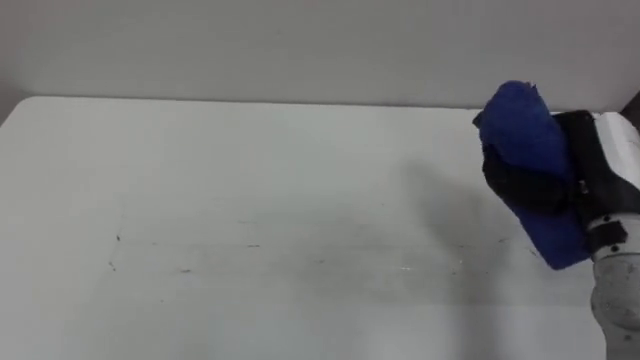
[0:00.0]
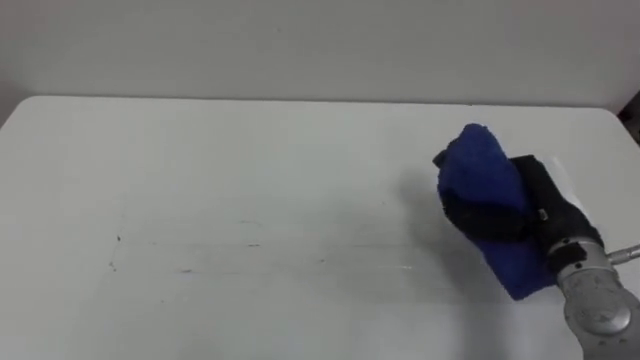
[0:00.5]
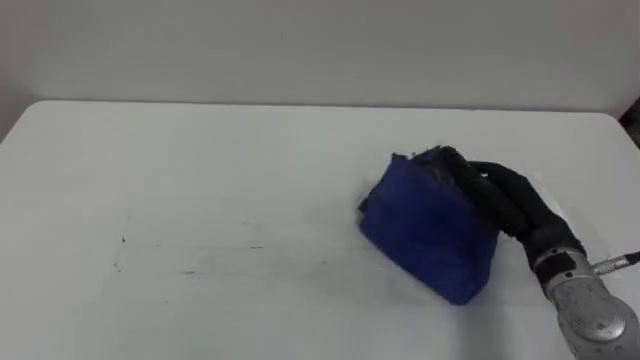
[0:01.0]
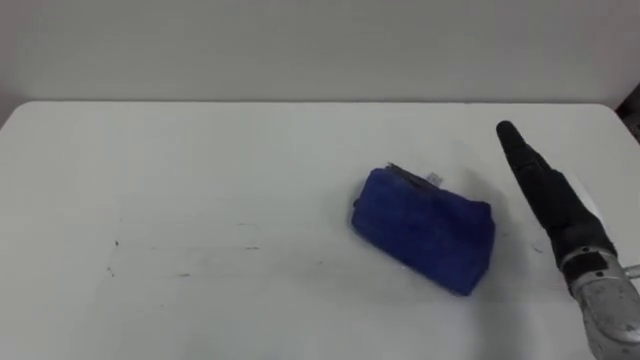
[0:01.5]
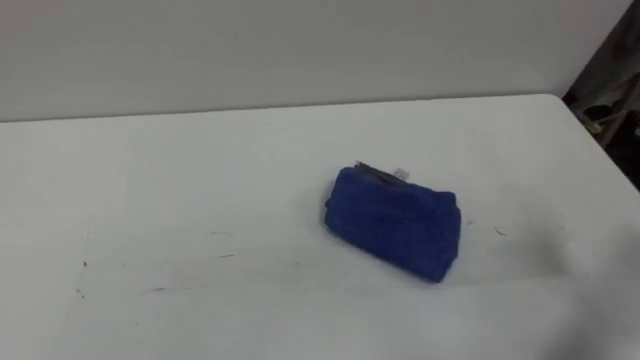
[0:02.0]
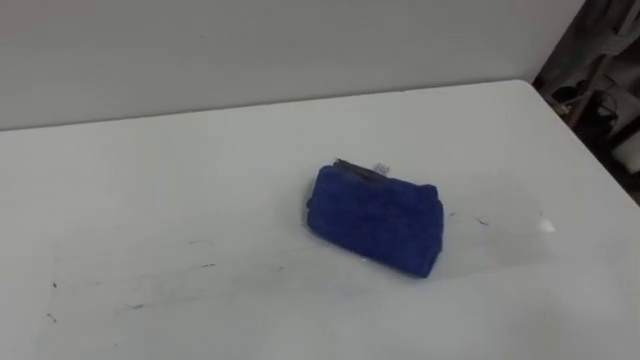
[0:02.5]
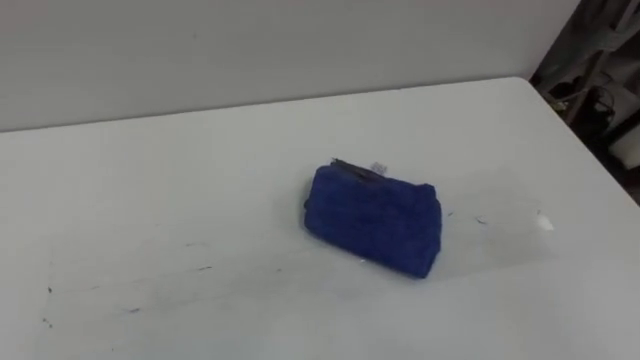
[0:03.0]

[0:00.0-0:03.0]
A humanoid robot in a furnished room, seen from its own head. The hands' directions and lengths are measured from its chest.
Task of the whole recording: Wipe the blue pen marks off the table with the rag.
0:00.0 to 0:01.5: The right hand heads downward, covering approximately 5 cm, and opens its fingers.

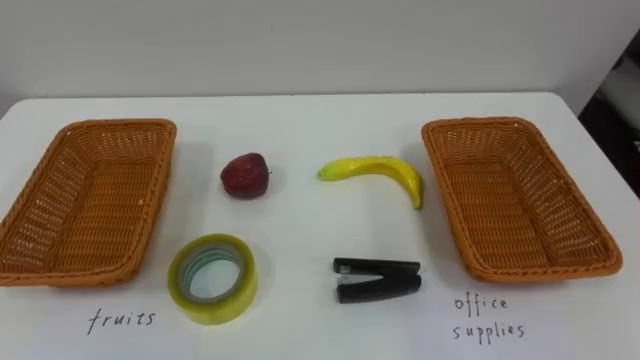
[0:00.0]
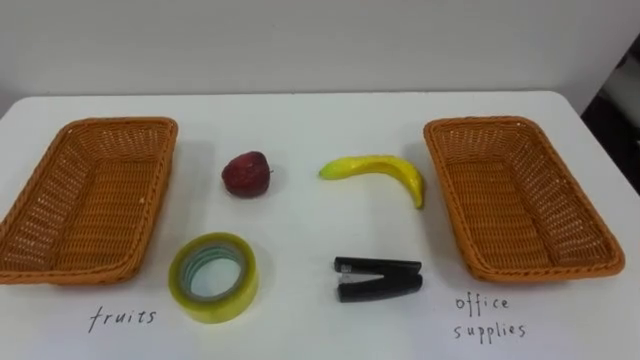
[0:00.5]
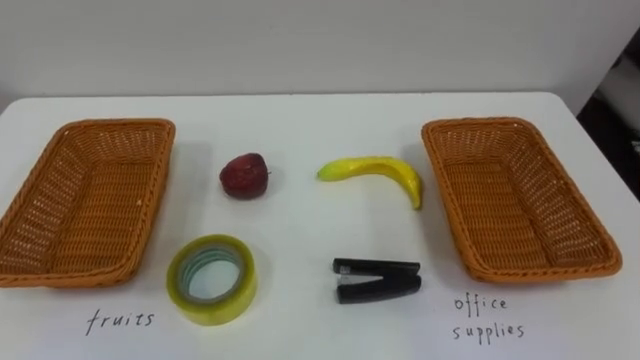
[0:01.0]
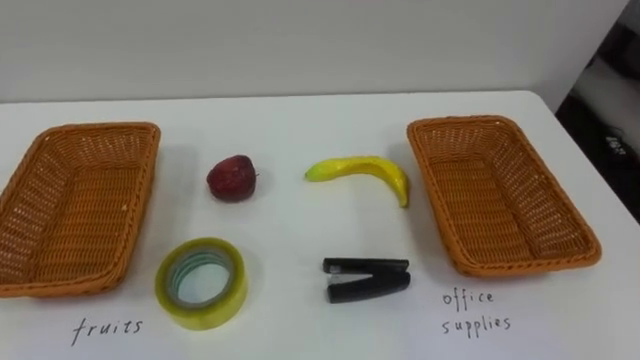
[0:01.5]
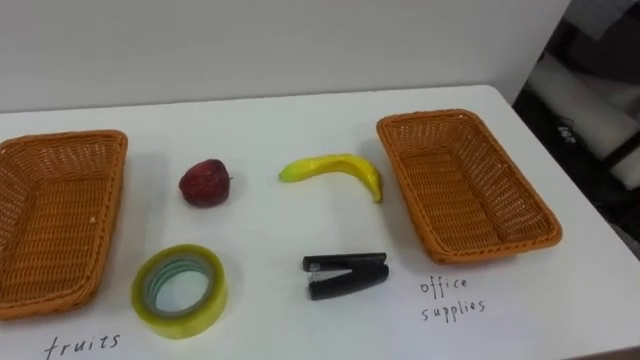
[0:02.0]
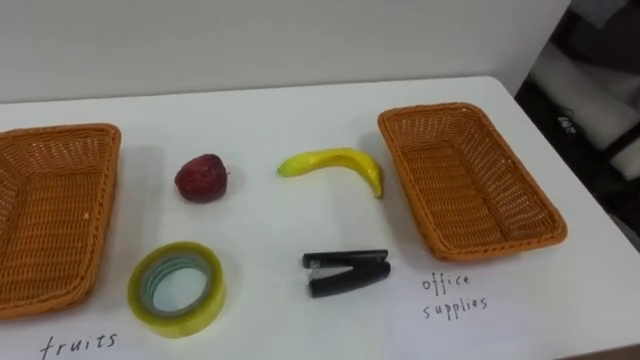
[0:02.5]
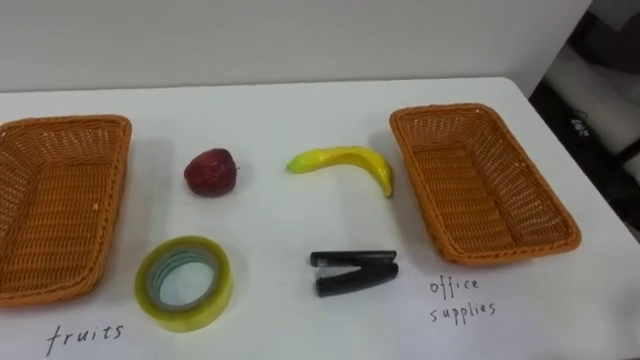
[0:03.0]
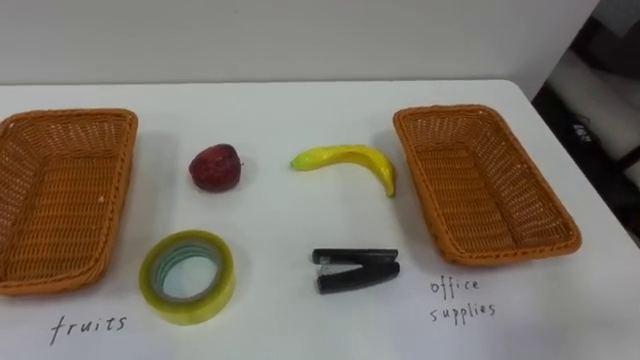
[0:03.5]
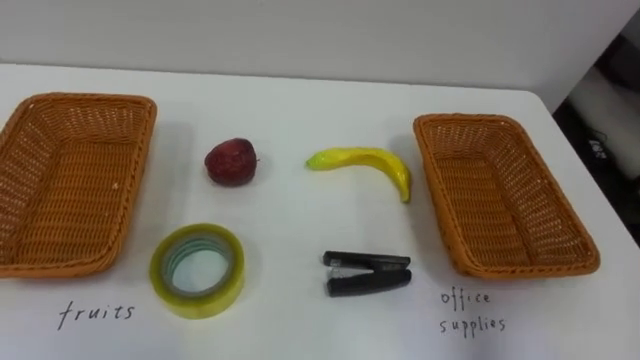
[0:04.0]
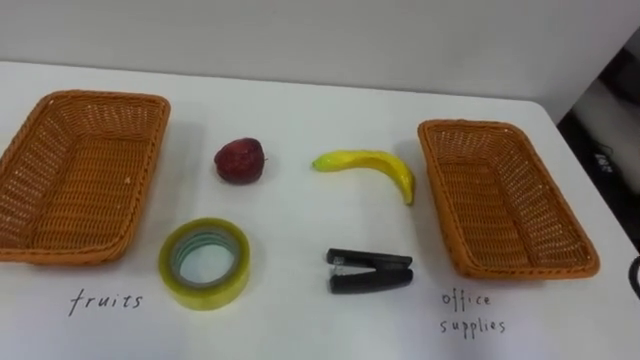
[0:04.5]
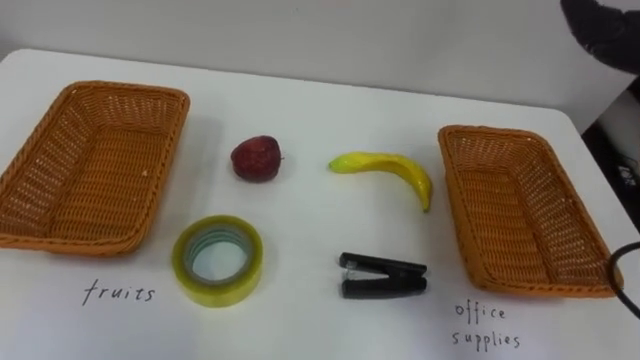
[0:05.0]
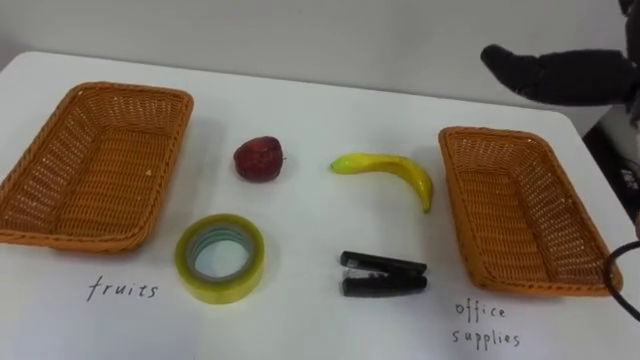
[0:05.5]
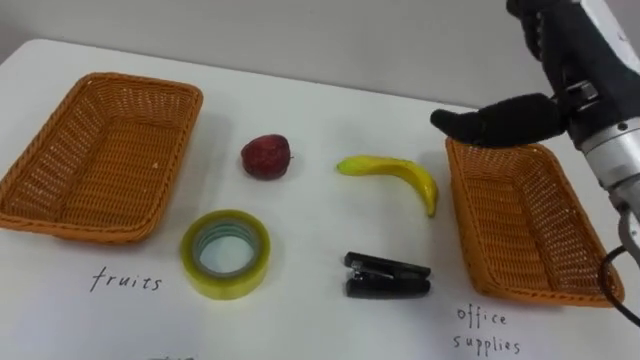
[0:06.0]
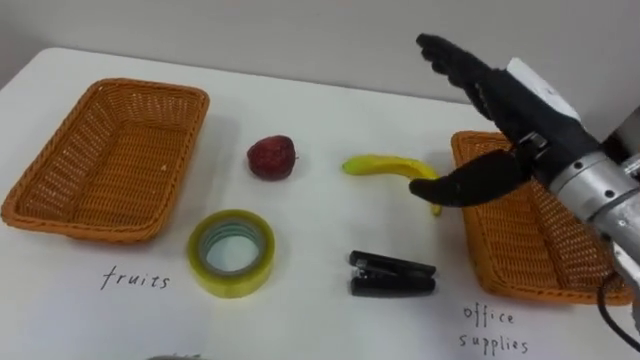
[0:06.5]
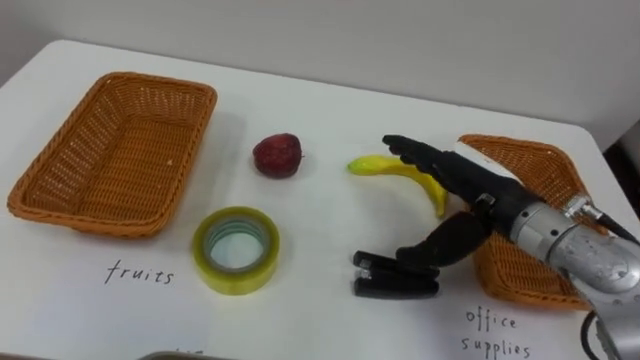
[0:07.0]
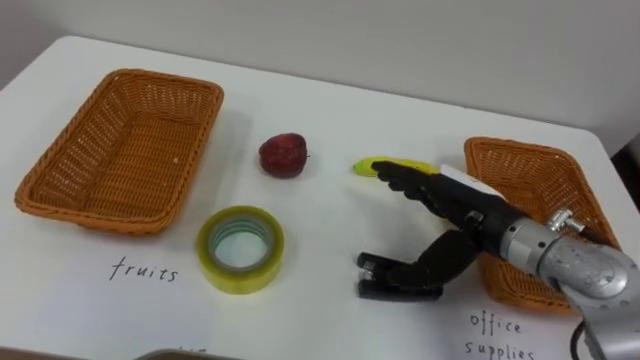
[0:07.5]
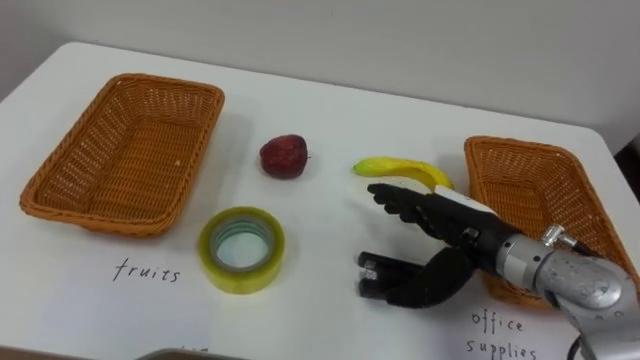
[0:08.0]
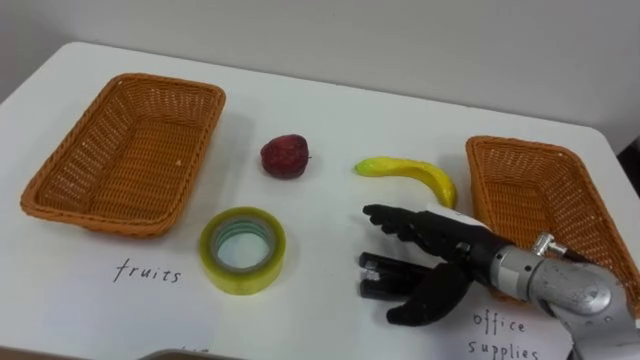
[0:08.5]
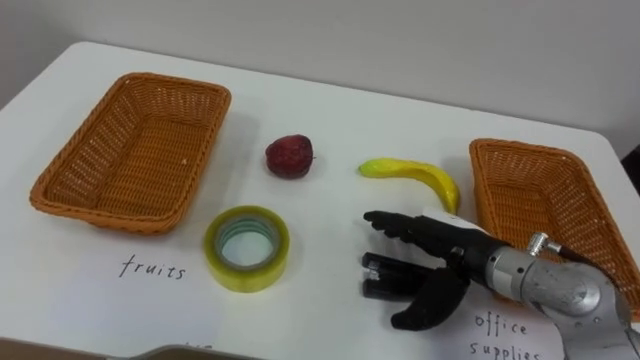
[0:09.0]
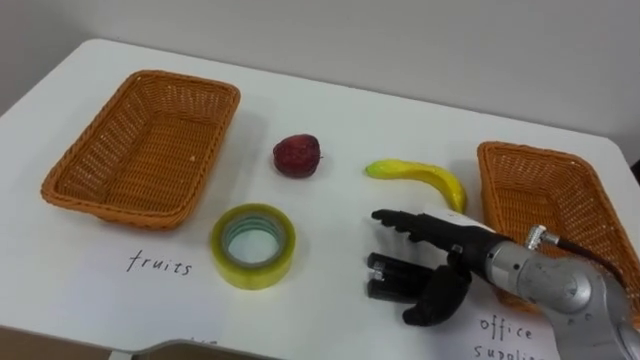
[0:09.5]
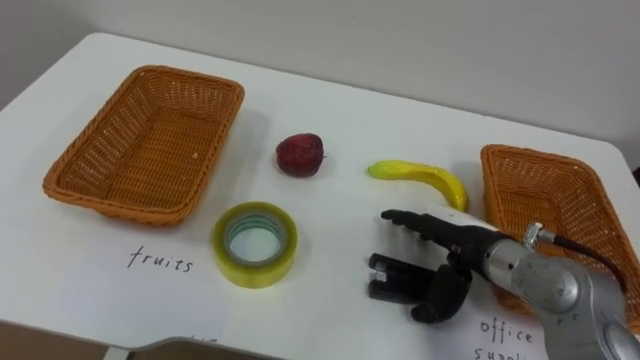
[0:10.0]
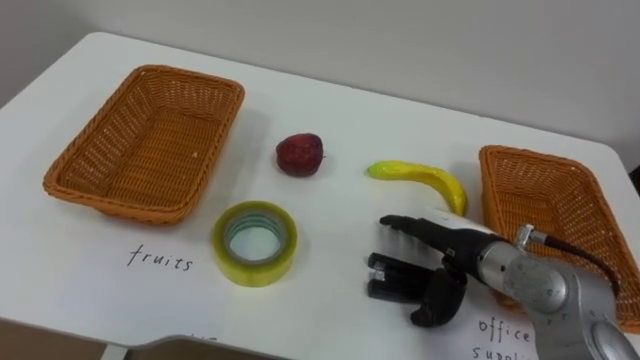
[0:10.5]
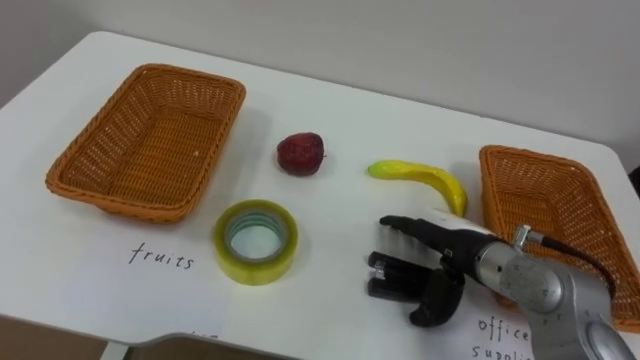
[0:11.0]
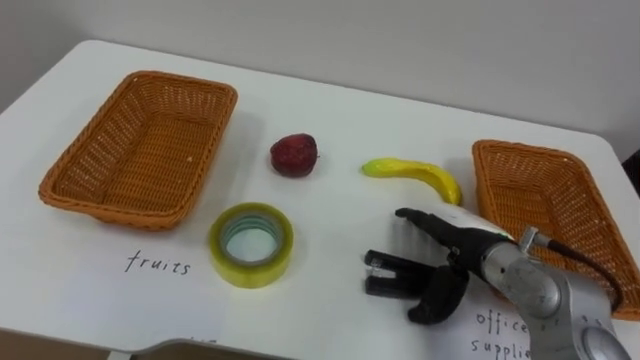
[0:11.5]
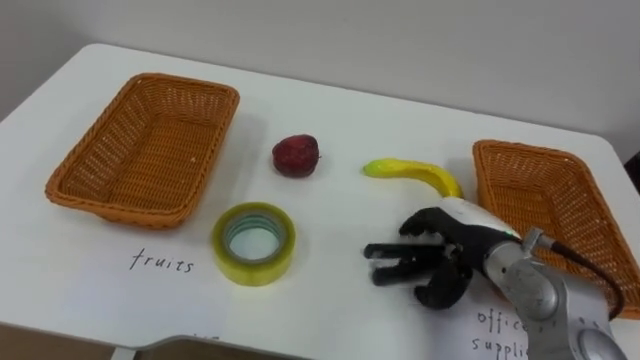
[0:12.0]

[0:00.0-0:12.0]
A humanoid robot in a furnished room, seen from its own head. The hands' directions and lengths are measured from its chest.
Task of the whole recording: Separate the items on the table and place them into the two baskets.
0:06.0 to 0:08.0: The right hand is displaced downward by some 20 cm.

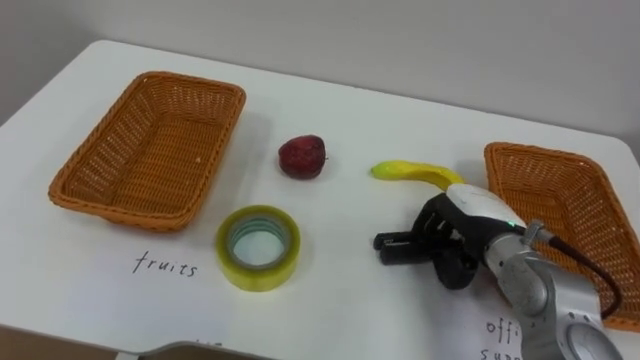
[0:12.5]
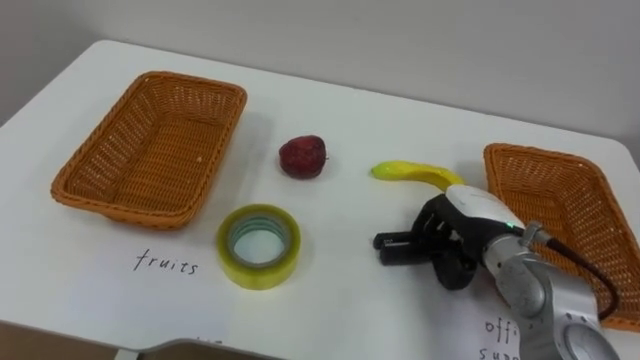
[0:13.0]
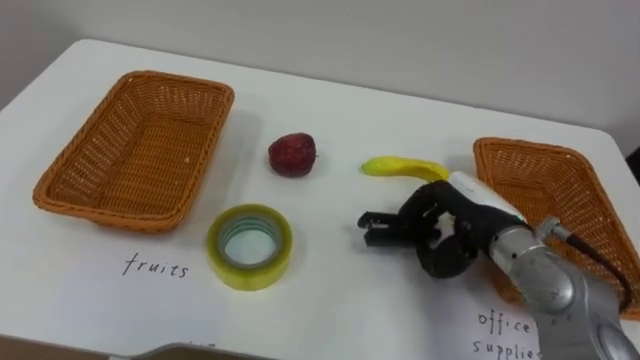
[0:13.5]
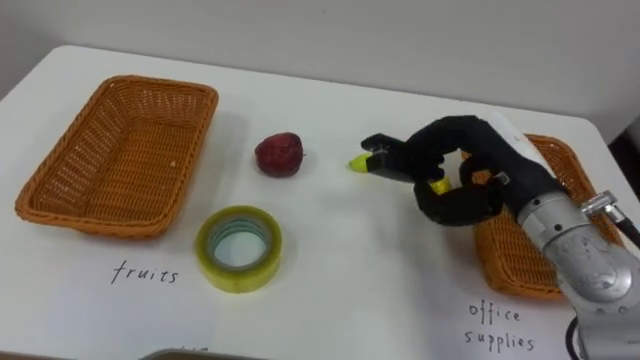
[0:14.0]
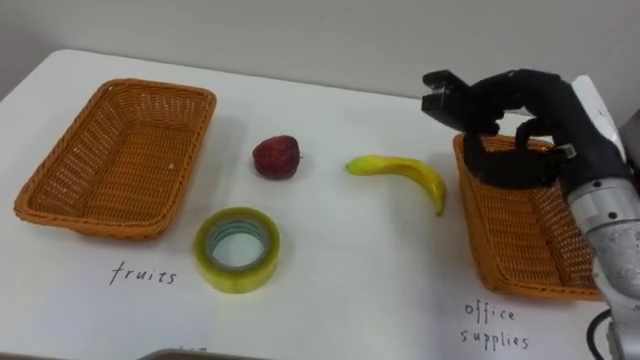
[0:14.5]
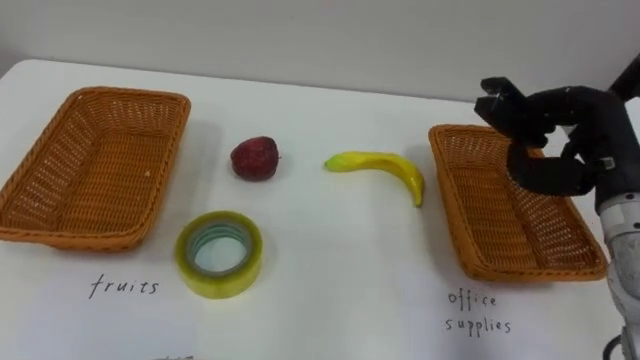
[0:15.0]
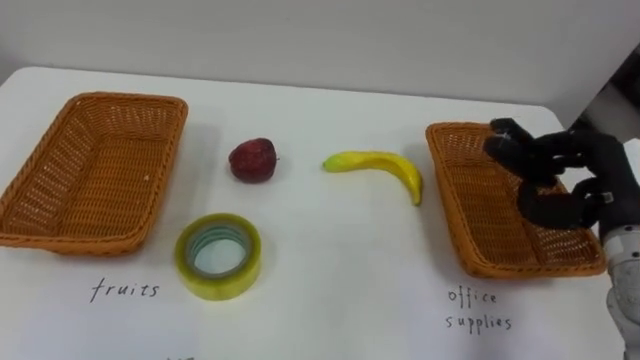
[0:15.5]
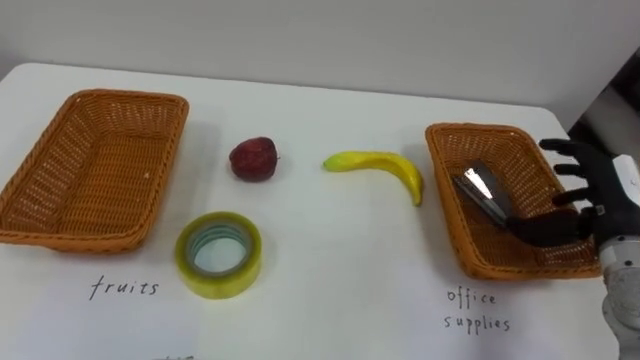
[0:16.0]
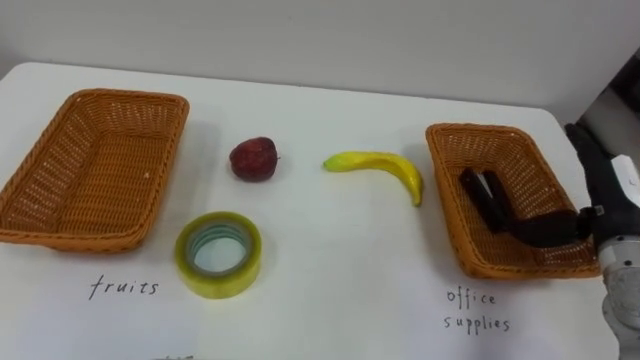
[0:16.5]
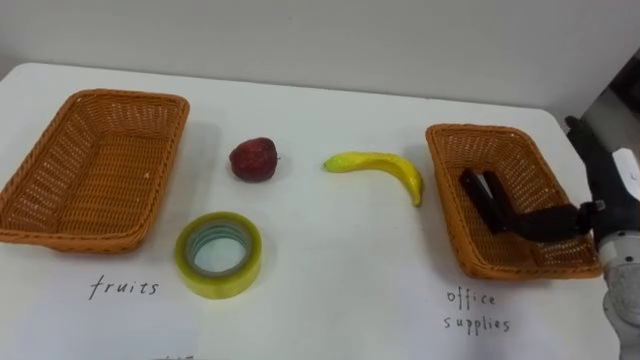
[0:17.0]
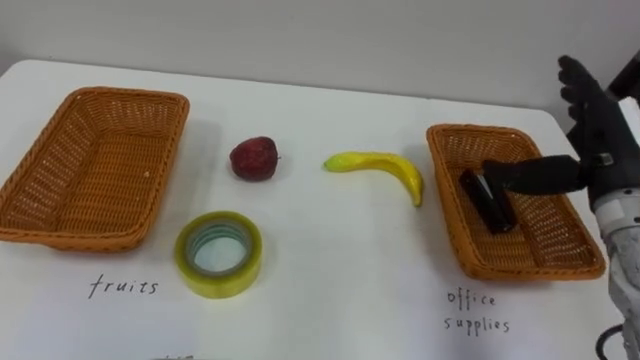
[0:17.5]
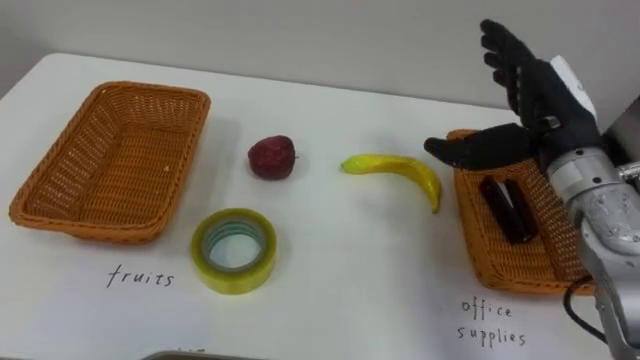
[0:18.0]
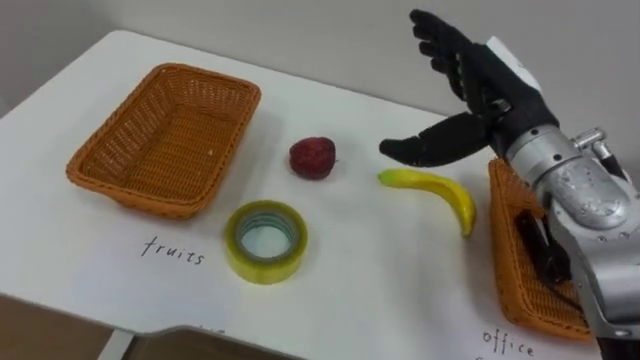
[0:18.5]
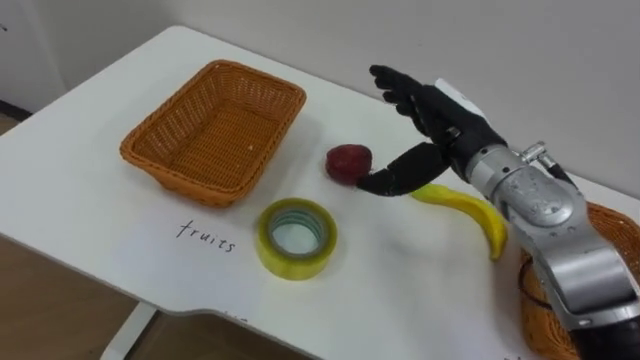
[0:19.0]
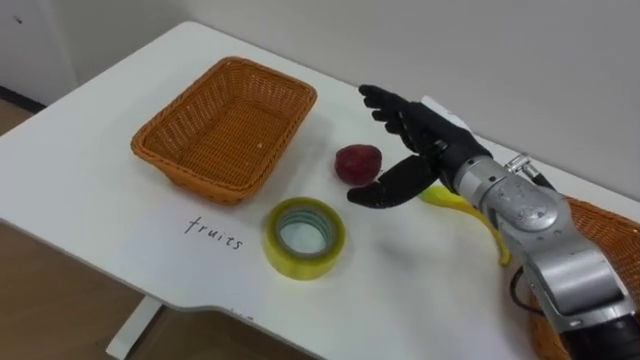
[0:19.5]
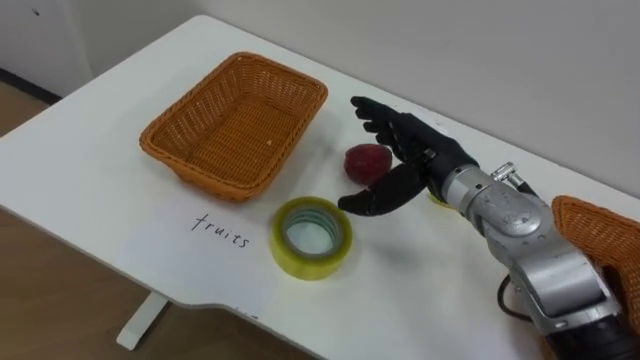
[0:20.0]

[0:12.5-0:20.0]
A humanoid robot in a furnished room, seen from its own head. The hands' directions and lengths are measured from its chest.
Task of the whole recording: Separate the items on the table and place them into the two baskets.
0:12.5 to 0:14.5: The right hand travels upward by some 15 cm.
0:14.5 to 0:16.5: The right hand is displaced downward and to the right by some 10 cm, and opens up.
0:16.5 to 0:18.0: The right hand shifts approximately 15 cm upward, to the left and forward.
0:18.0 to 0:20.0: The right hand is displaced to the left and downward by roughly 15 cm.
